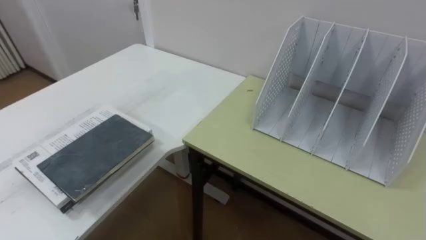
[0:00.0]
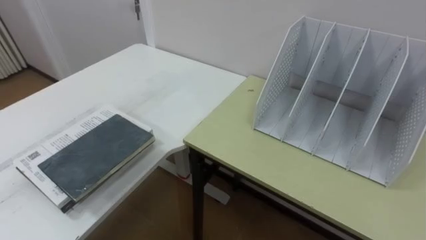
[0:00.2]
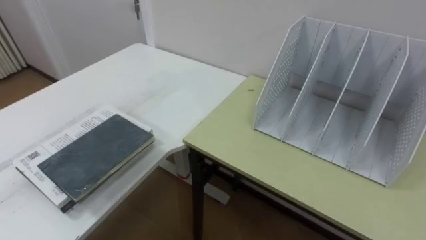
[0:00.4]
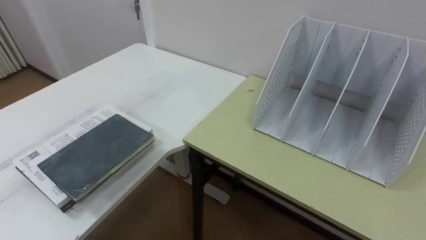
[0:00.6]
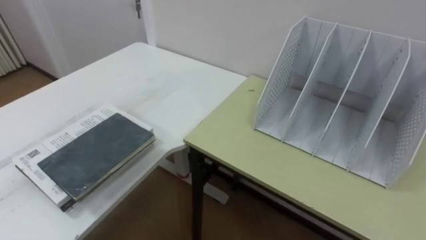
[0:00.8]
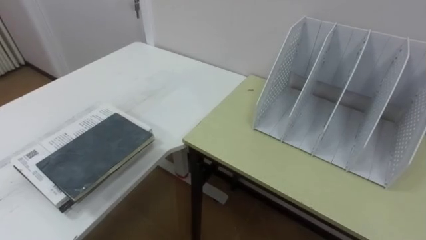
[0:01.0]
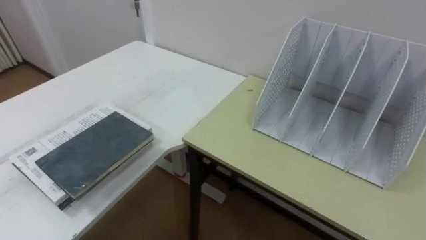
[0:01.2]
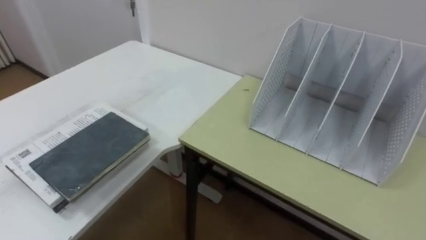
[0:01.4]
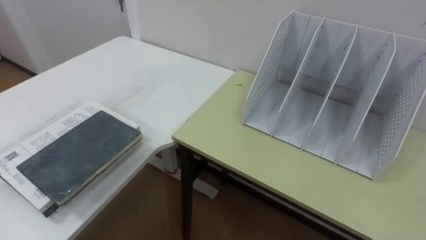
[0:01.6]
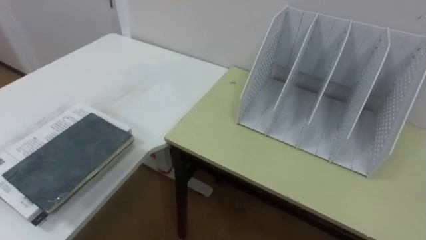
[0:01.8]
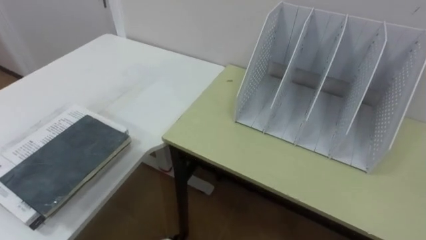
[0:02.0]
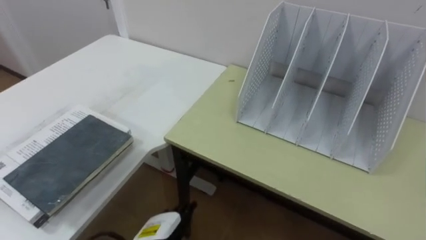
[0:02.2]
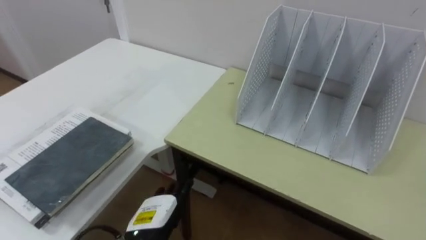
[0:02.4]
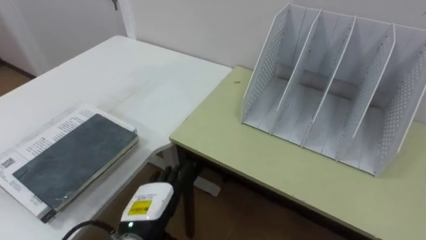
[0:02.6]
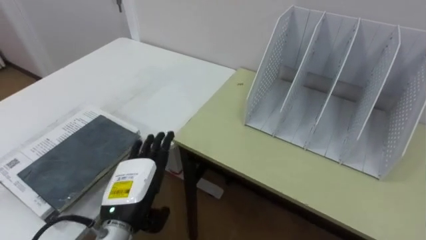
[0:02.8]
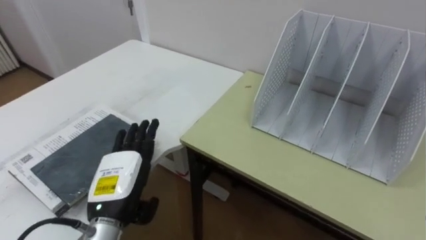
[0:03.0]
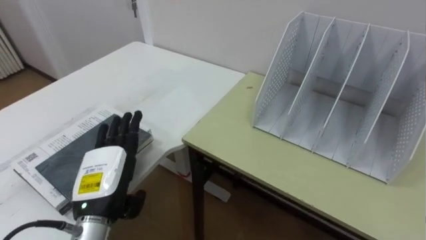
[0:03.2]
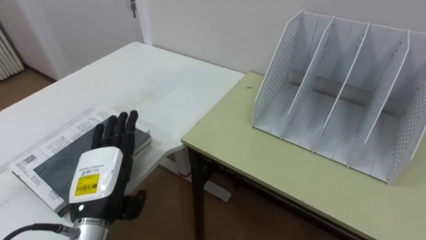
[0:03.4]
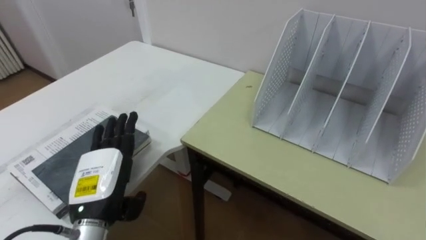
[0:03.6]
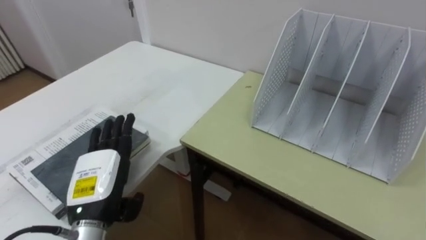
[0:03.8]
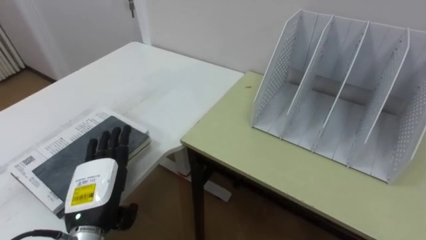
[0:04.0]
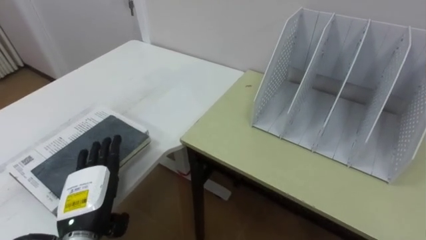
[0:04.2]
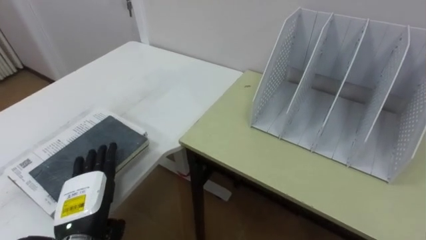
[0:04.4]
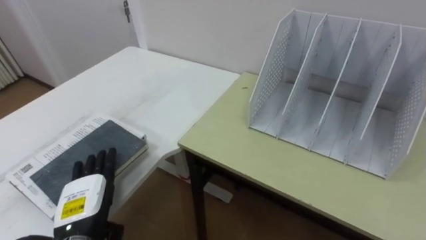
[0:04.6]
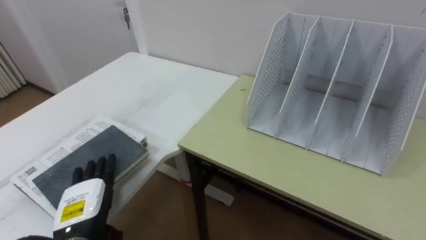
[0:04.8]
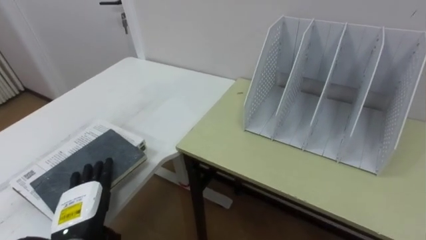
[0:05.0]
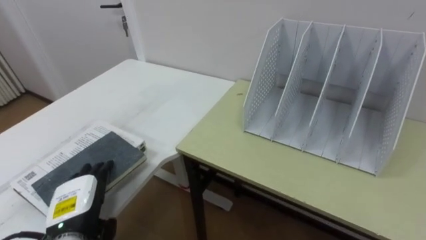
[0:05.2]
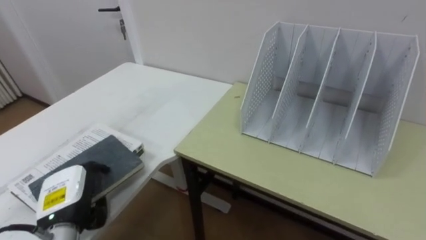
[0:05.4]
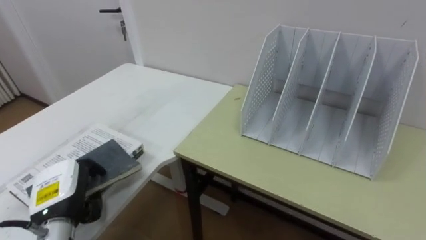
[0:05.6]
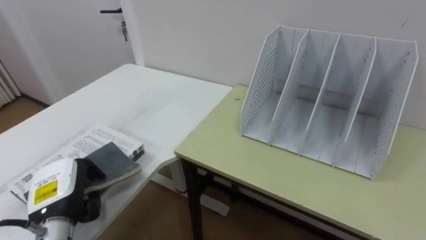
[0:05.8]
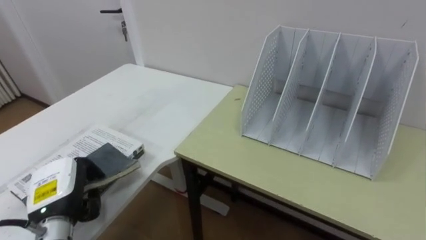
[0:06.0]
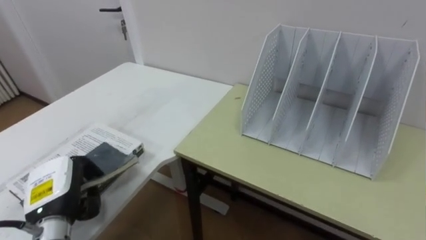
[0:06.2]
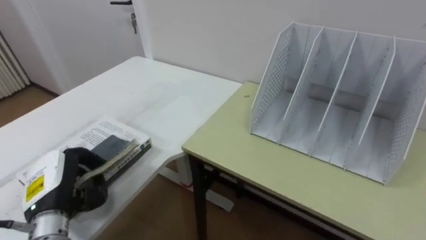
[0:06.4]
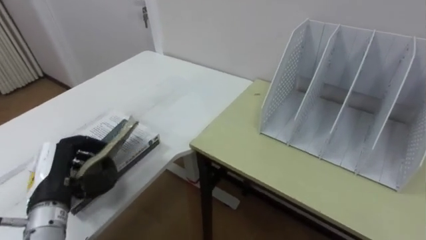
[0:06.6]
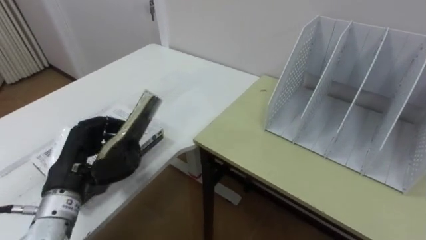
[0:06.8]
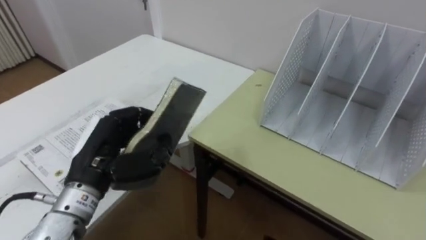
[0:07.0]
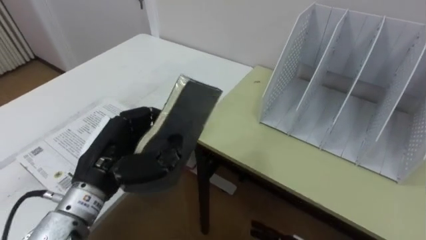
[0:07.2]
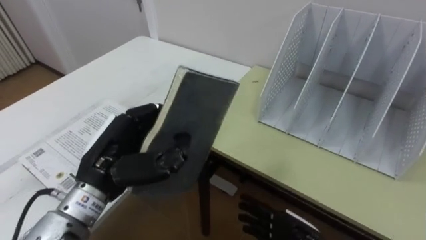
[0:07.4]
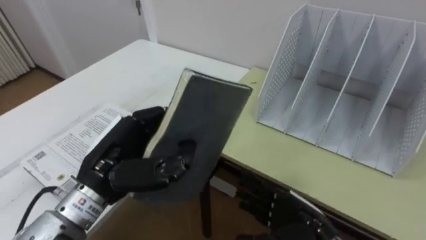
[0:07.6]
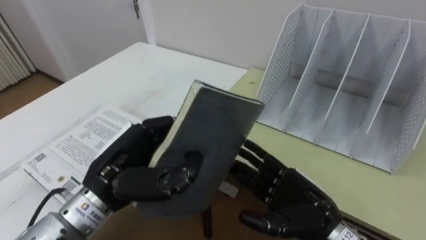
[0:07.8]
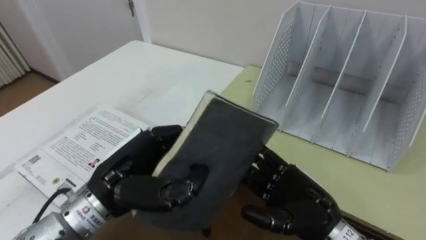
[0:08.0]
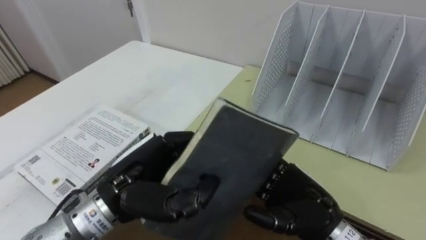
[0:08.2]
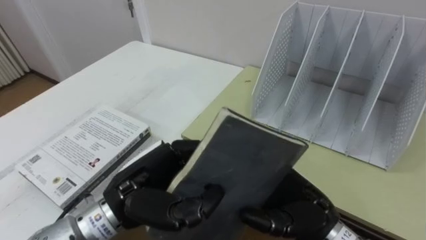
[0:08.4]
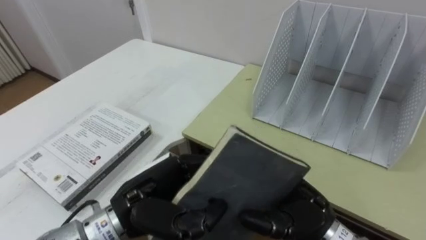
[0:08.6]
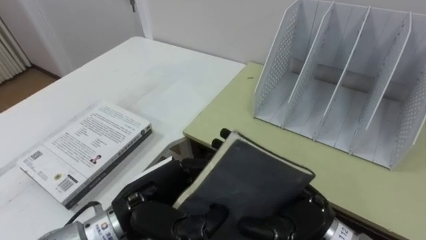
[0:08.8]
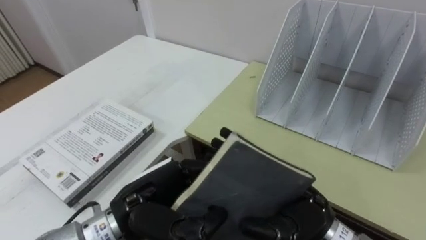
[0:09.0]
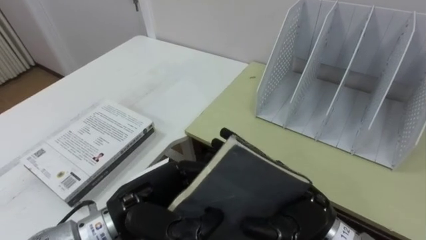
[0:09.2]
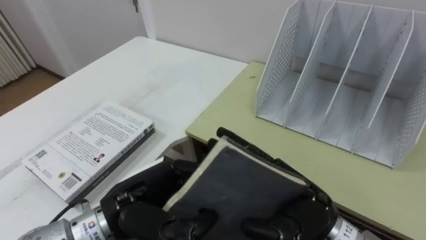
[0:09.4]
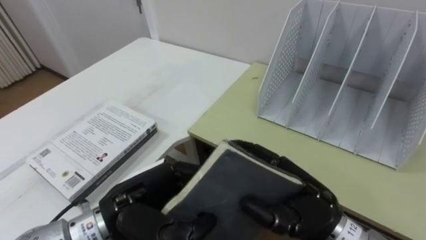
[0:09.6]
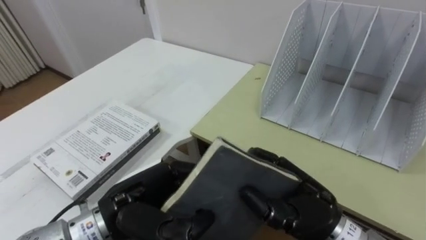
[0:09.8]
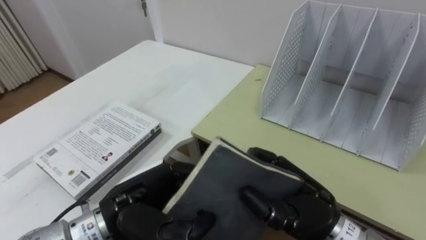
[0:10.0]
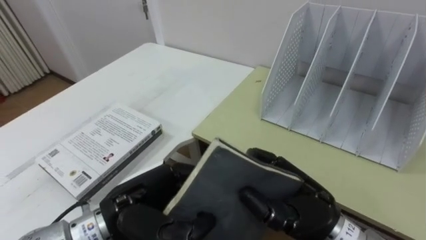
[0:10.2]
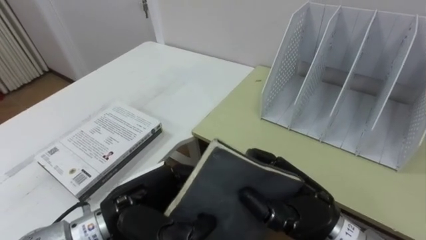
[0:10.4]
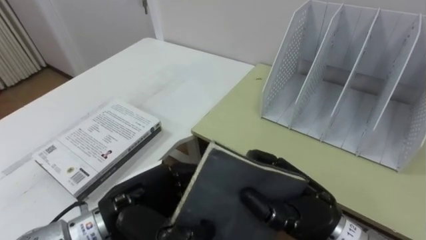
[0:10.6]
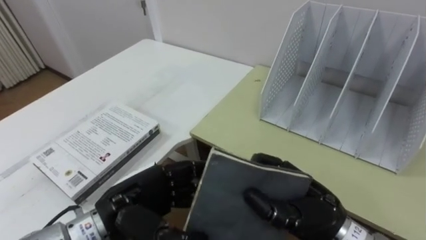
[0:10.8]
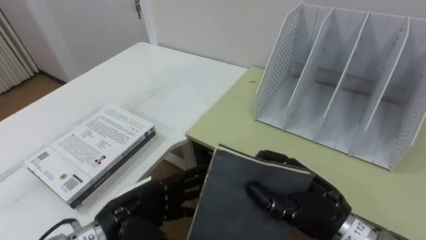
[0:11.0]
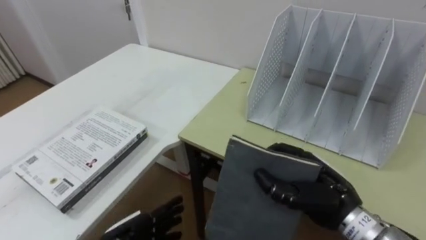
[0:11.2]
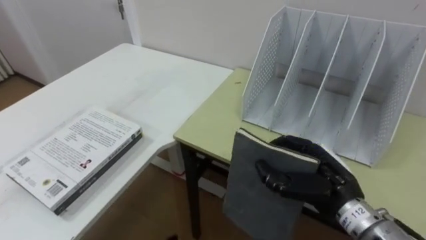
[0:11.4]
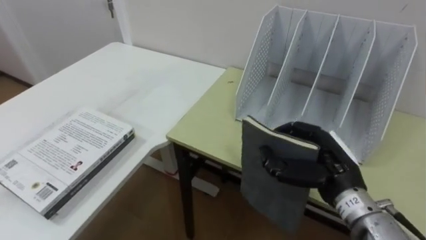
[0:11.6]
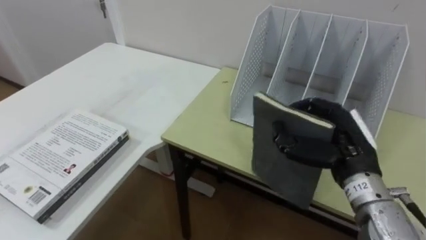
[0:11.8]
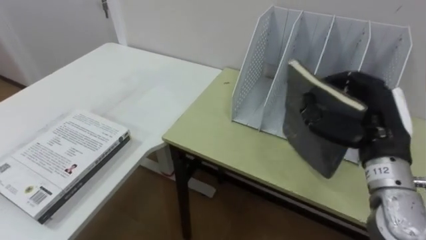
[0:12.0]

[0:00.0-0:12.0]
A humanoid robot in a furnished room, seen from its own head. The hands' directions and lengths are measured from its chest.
Task of the whole recording: Put the books on the table onto the bookshelf.
0:03.0 to 0:04.4: The left hand shifts some 5 cm to the left.
0:04.4 to 0:06.0: The left hand closes up.
0:06.0 to 0:07.6: The left hand heads to the right and upward, covering approximately 15 cm.
0:07.6 to 0:09.0: The right hand travels upward by approximately 10 cm. The left hand moves to the right, approximately 5 cm.
0:09.0 to 0:10.4: The right hand closes up.
0:10.4 to 0:12.0: The right hand moves to the right, forward and upward, about 15 cm.

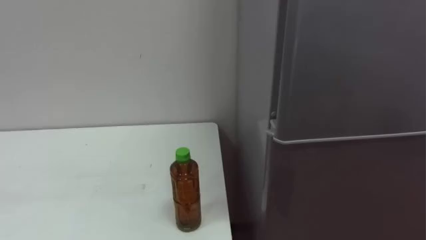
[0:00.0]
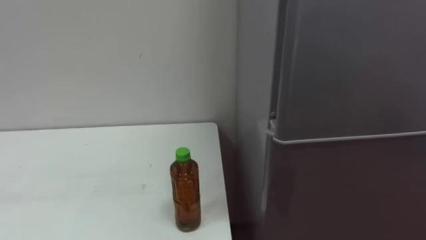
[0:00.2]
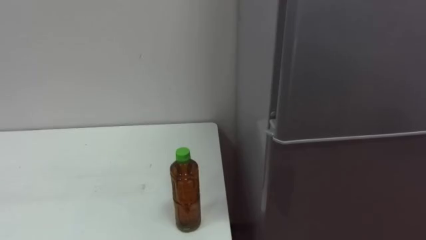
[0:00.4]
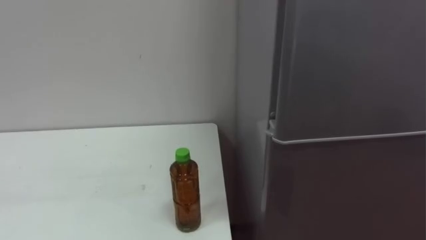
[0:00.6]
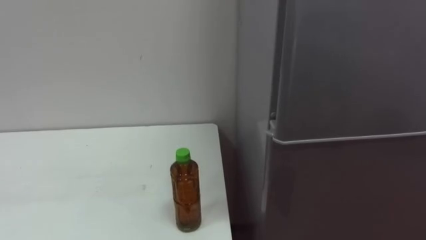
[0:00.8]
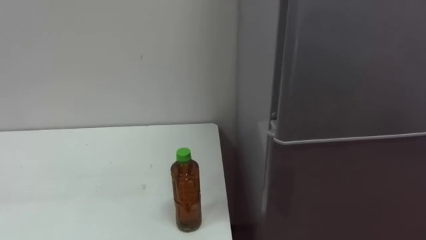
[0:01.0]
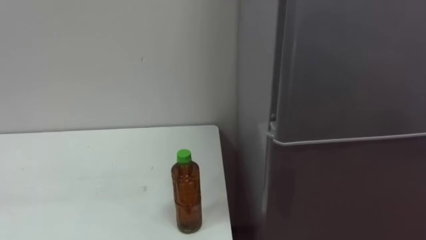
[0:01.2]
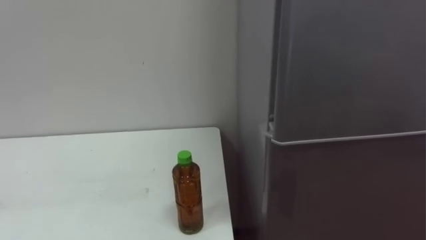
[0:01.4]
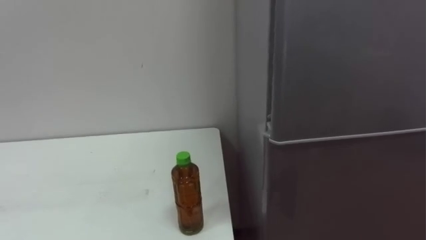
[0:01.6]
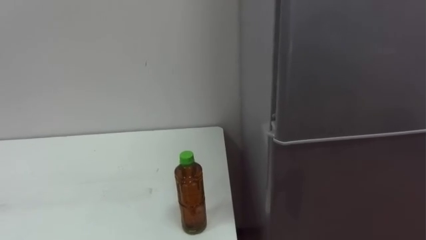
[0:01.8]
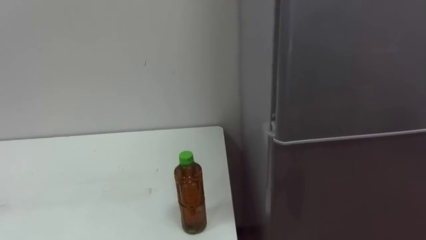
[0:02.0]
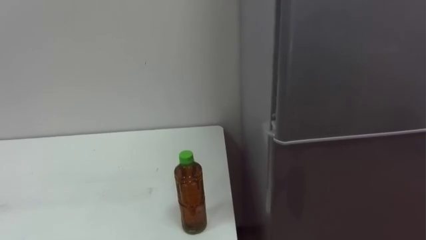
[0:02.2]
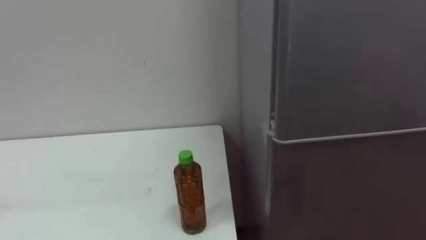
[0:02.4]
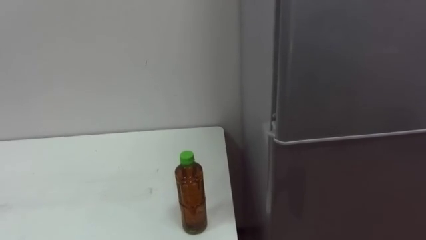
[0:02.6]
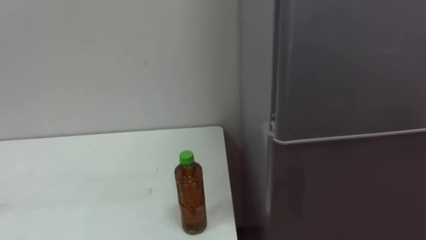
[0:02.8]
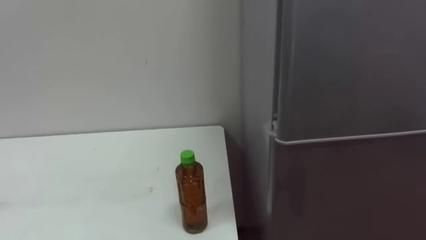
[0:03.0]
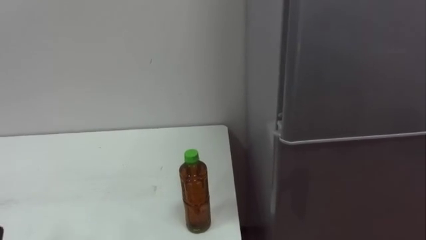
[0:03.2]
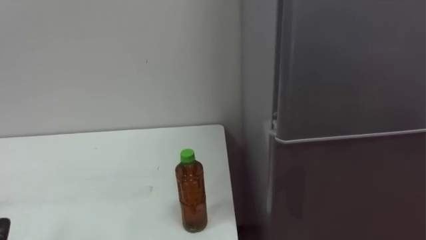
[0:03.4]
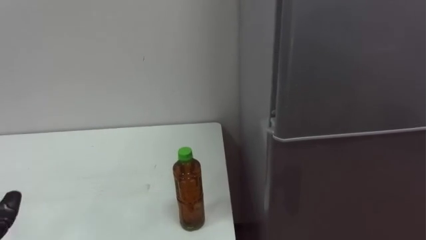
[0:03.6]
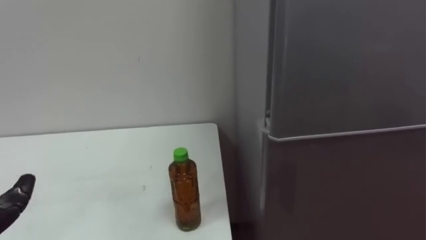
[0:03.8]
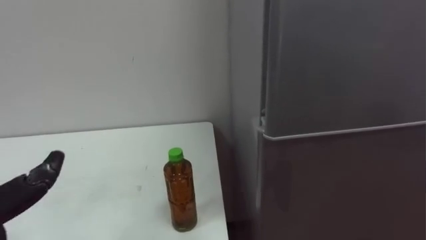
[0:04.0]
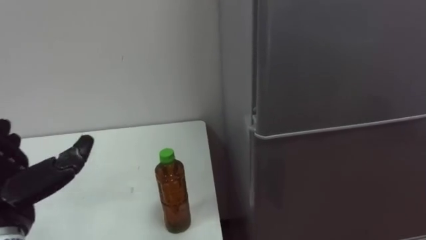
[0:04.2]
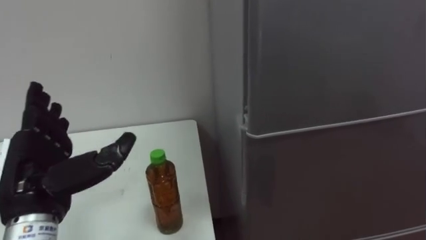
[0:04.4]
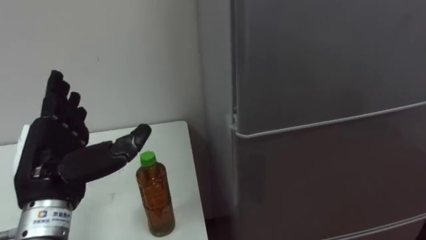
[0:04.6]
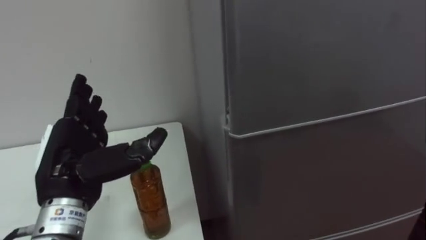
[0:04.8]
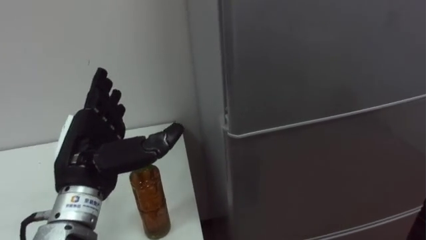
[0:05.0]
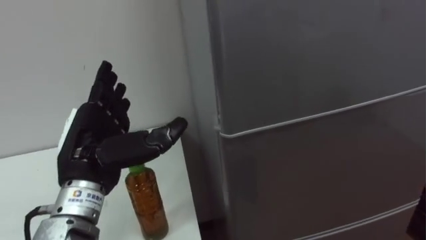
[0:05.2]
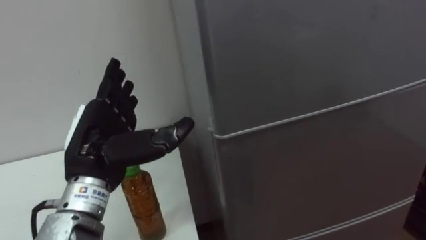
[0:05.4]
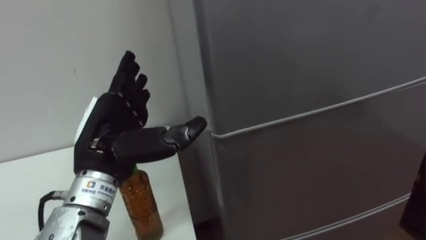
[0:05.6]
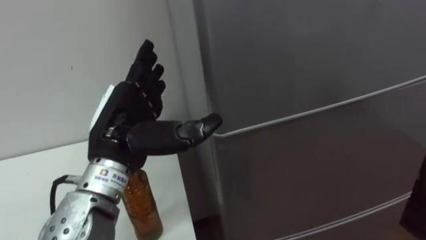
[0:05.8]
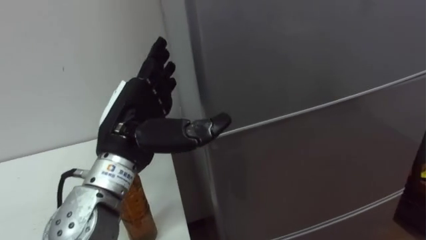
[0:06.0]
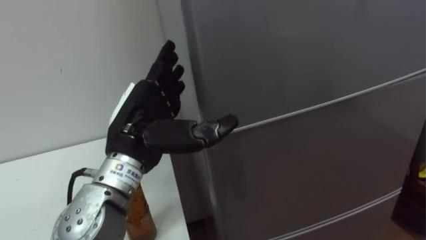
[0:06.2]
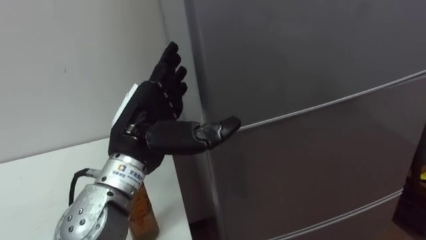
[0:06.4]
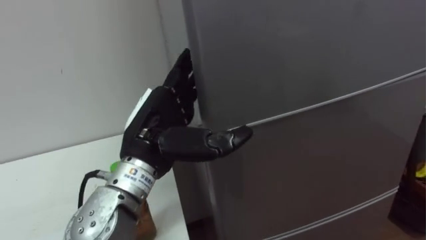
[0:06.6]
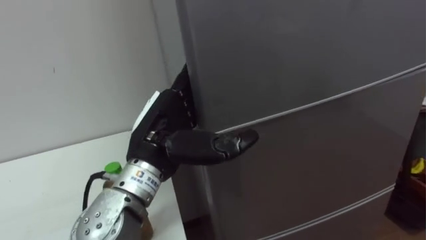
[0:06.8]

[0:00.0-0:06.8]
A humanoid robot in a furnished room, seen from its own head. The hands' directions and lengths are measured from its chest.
Task of the whole recording: Open the upper refrigerator door, put the drink from the table into the refrigerator, and then close the refrigerator door.
0:05.4 to 0:06.8: The left hand shifts some 10 cm to the right.
